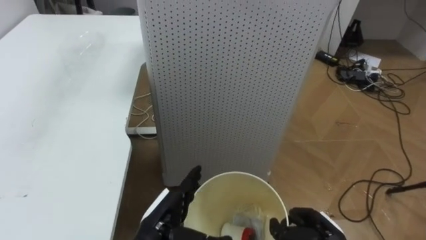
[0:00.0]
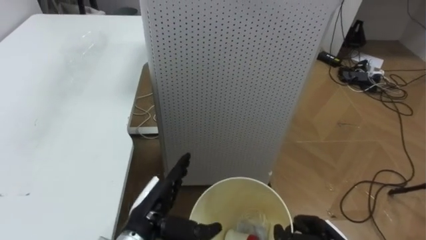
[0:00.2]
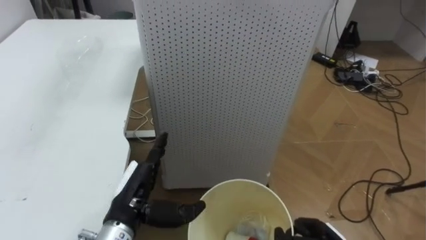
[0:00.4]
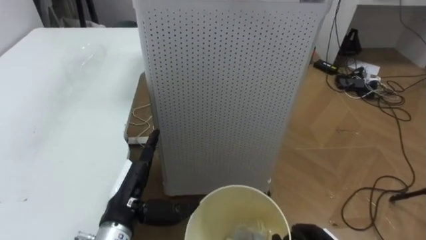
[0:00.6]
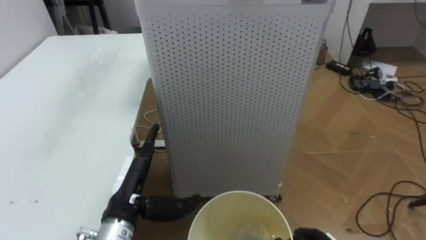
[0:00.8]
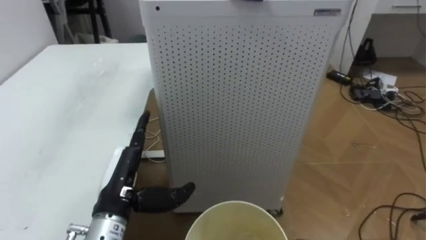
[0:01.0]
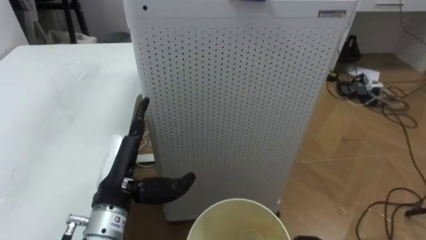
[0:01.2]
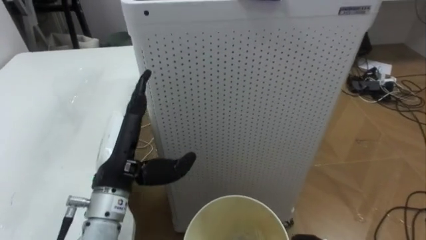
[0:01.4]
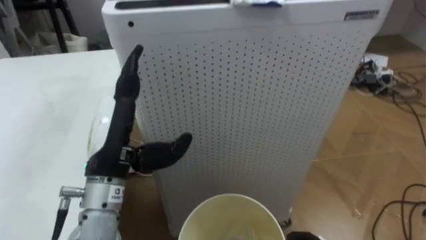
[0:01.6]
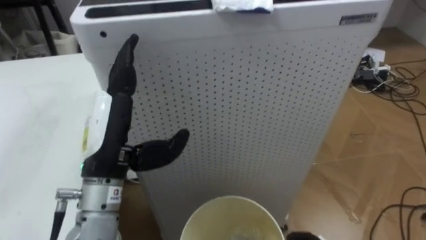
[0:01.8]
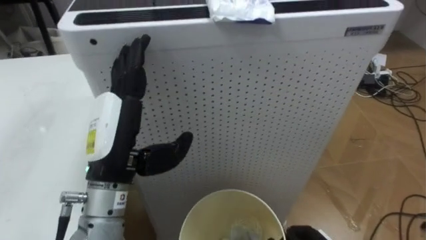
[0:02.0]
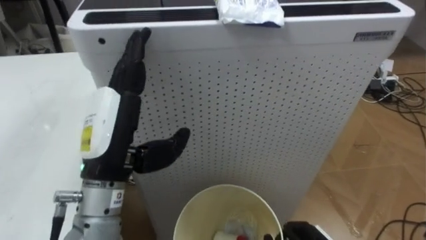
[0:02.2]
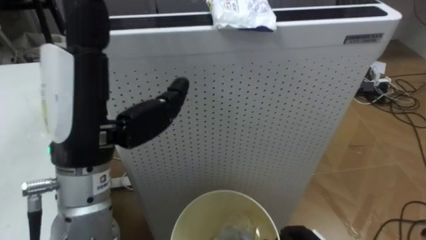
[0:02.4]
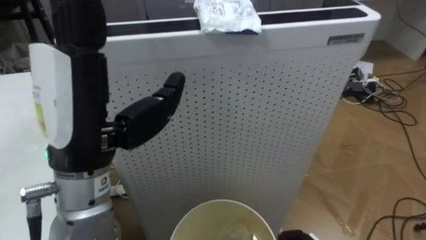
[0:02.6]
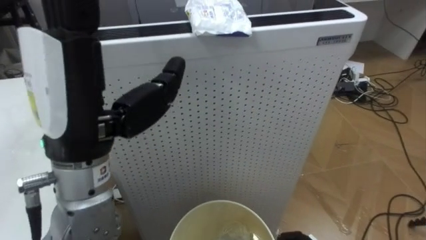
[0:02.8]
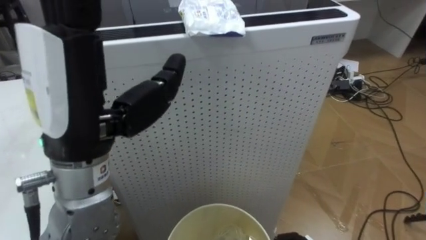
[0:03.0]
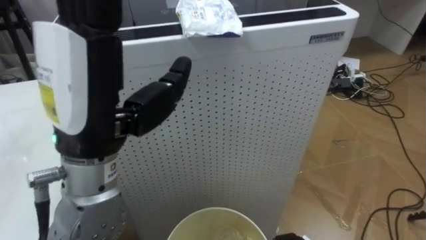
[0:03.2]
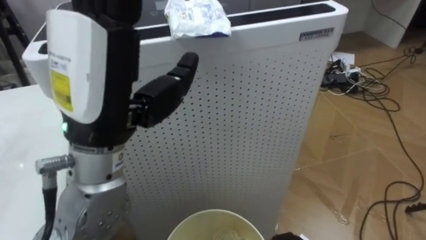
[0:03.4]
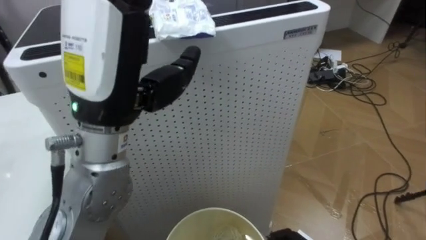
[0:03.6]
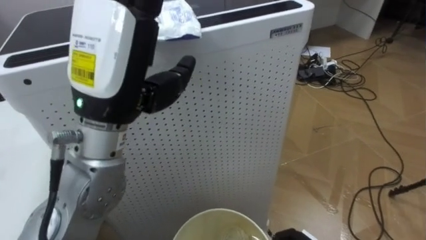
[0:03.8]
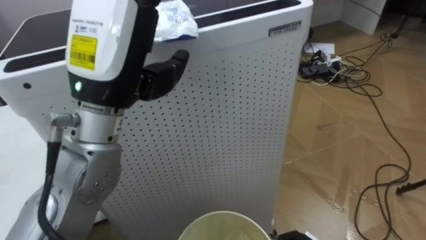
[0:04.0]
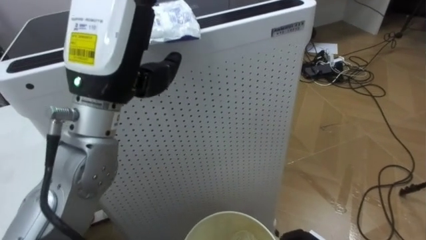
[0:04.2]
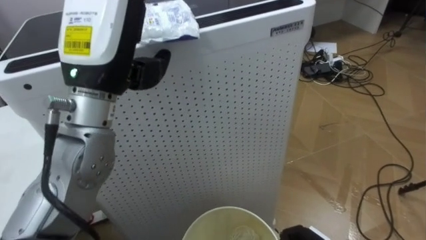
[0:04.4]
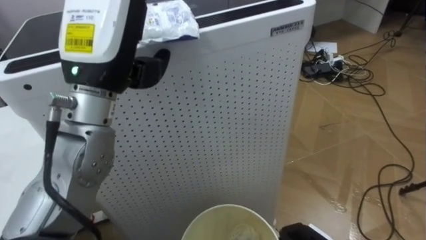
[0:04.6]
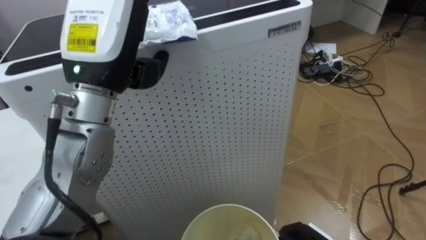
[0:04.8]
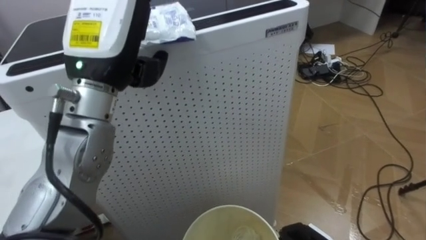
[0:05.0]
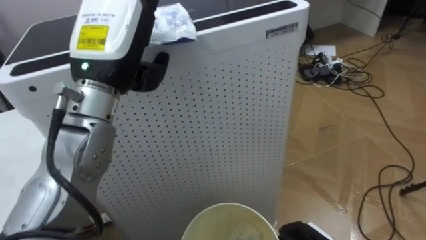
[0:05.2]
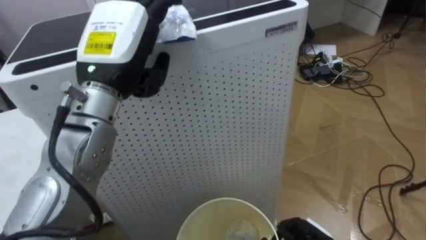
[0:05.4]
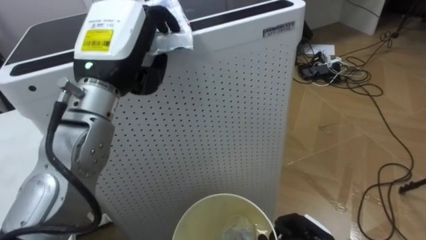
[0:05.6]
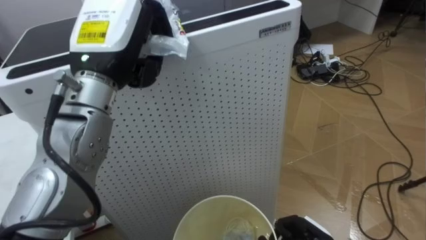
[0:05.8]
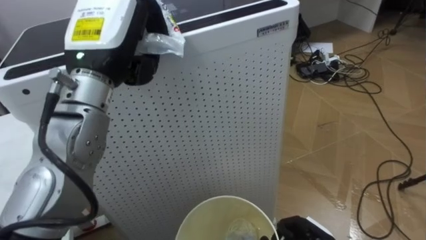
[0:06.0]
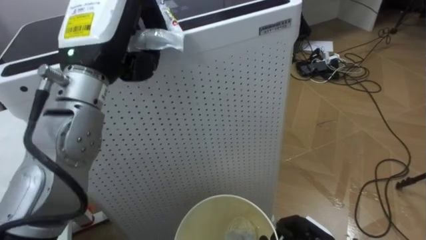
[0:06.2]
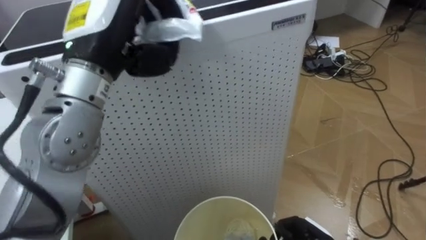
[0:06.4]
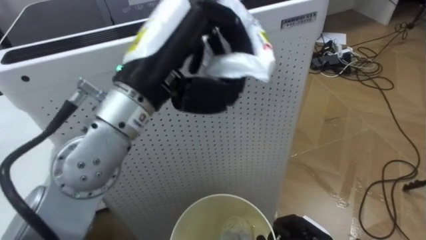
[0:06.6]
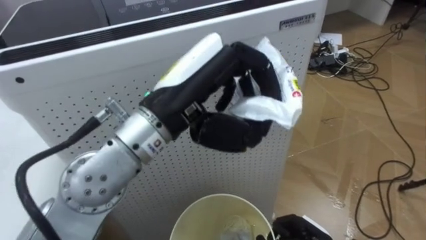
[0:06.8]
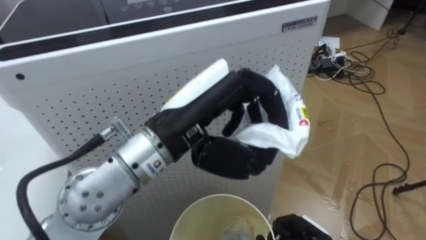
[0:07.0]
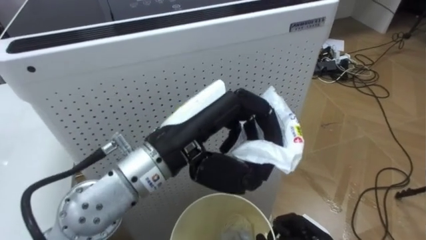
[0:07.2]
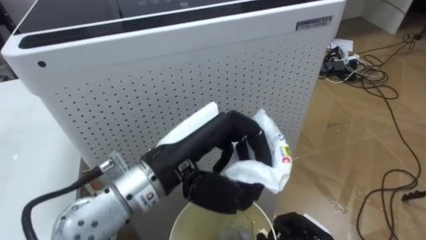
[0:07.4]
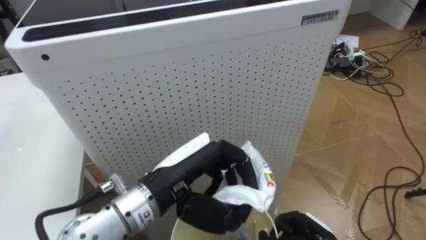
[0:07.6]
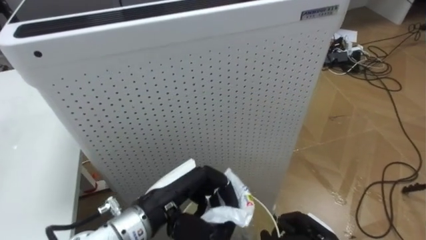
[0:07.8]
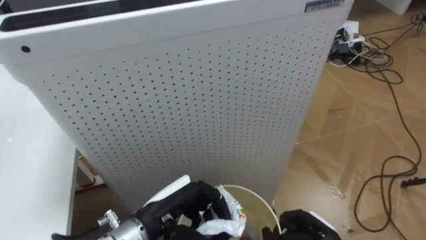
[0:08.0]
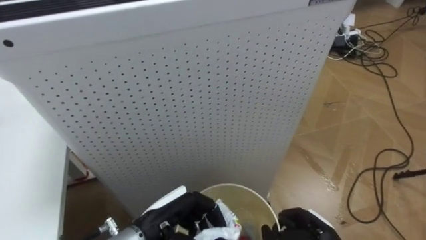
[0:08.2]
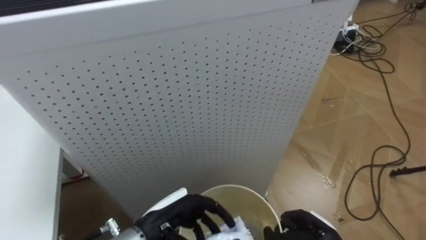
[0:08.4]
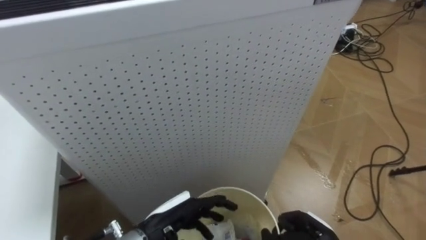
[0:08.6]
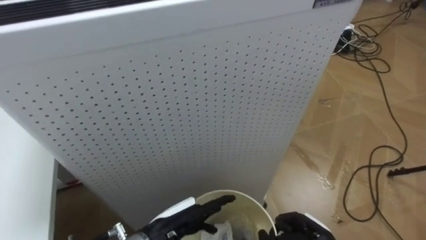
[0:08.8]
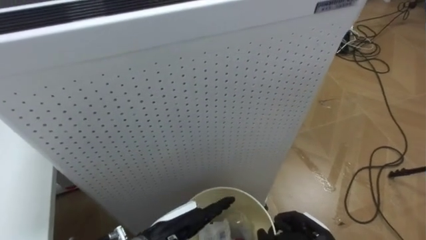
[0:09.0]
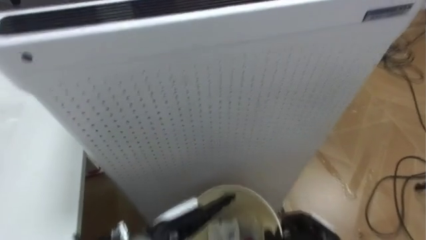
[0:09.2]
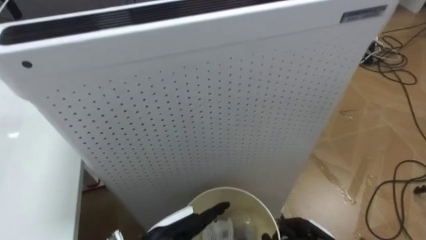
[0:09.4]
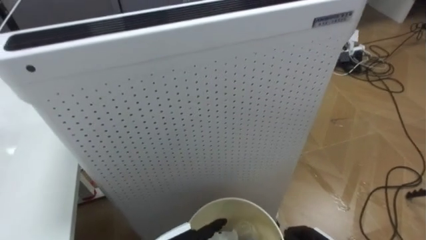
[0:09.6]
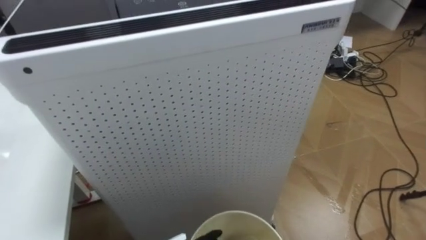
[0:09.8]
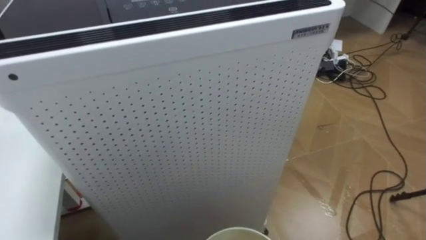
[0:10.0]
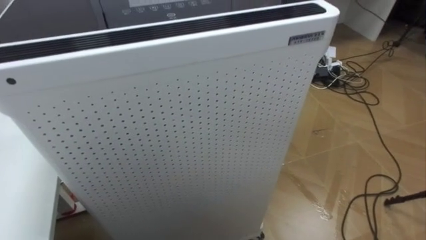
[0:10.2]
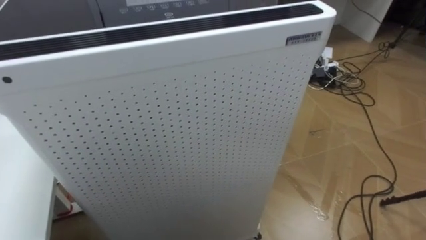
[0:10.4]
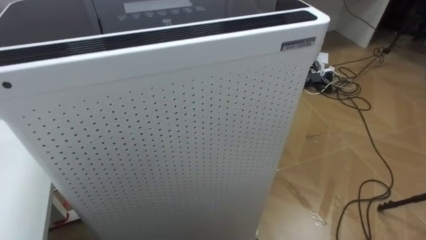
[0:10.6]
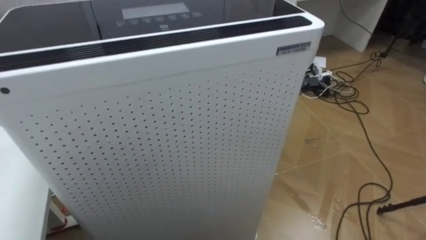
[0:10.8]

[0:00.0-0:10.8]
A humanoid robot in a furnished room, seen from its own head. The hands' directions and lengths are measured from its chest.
Task of the whole recording: Pick up the light blue package, the candy box, and the dark blue package separately, and put them into the trash can held in your right hand.
0:00.0 to 0:01.6: The left hand shifts approximately 15 cm upward.
0:01.6 to 0:03.0: The left hand goes roughly 15 cm upward and backward.
0:03.0 to 0:04.6: The left hand travels forward by some 10 cm.
0:04.6 to 0:06.2: The left hand closes its fingers.
0:06.2 to 0:07.8: The left hand goes roughly 20 cm downward and backward.
0:07.8 to 0:09.2: The left hand travels downward by roughly 10 cm, and opens.

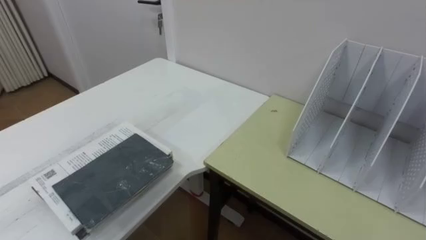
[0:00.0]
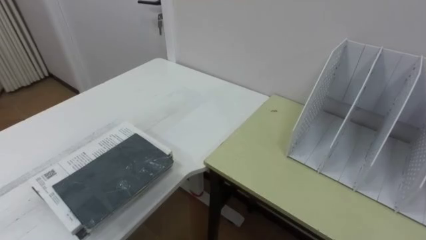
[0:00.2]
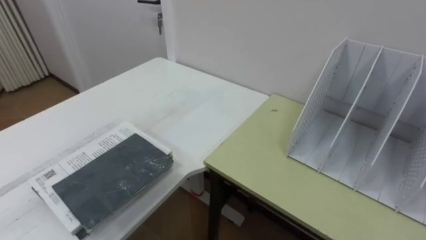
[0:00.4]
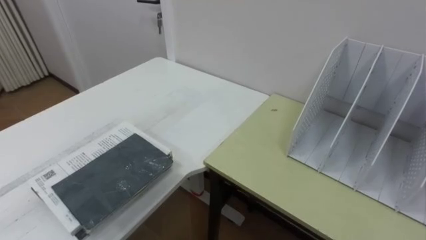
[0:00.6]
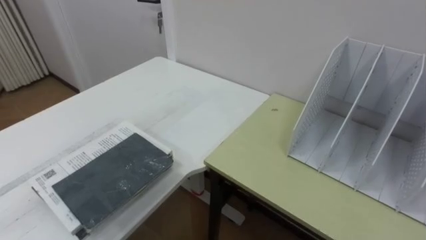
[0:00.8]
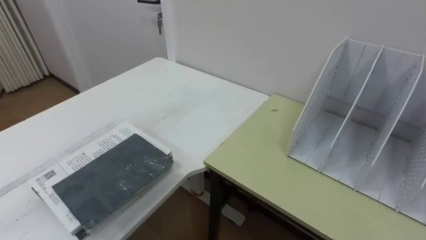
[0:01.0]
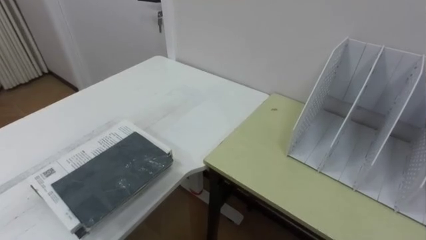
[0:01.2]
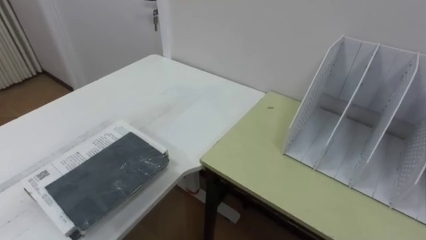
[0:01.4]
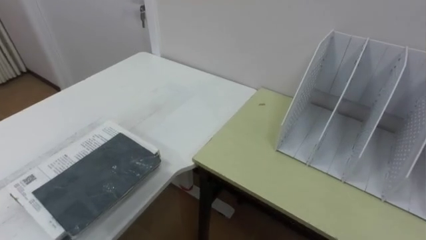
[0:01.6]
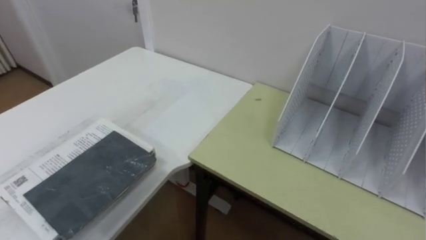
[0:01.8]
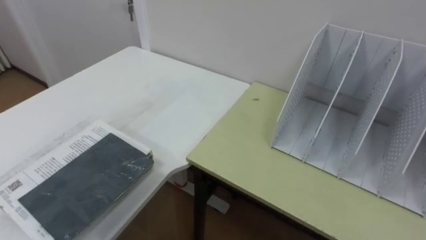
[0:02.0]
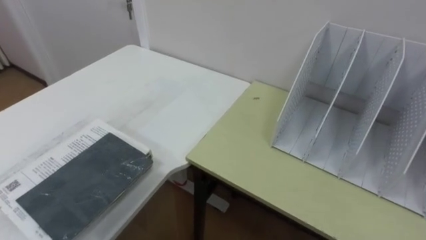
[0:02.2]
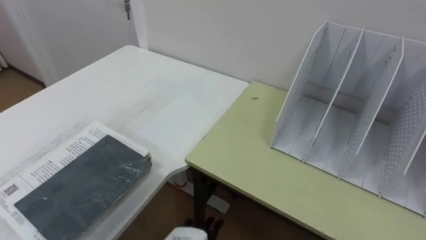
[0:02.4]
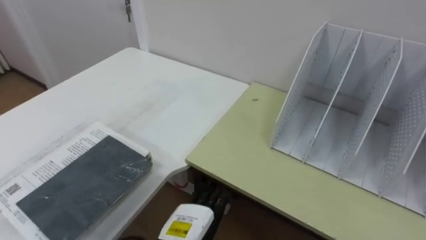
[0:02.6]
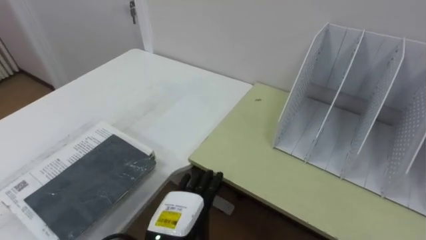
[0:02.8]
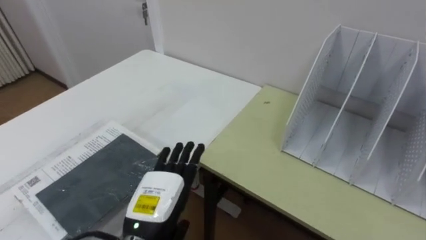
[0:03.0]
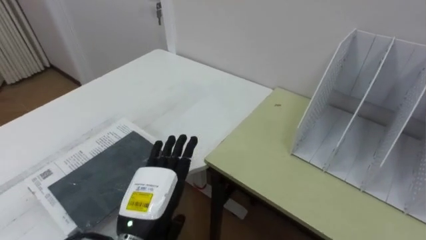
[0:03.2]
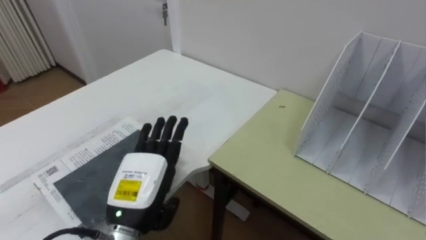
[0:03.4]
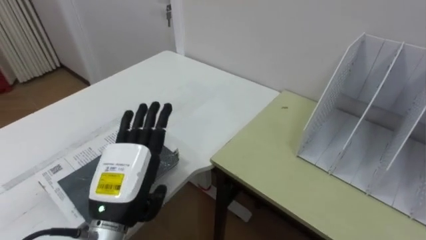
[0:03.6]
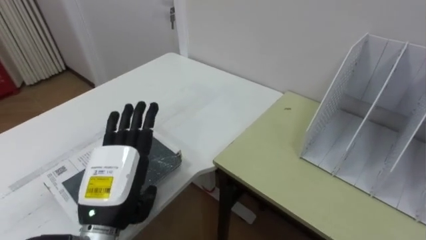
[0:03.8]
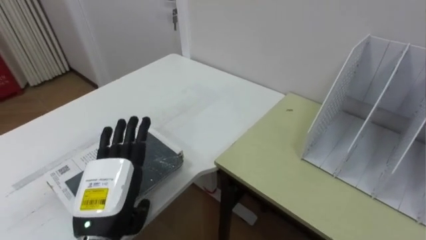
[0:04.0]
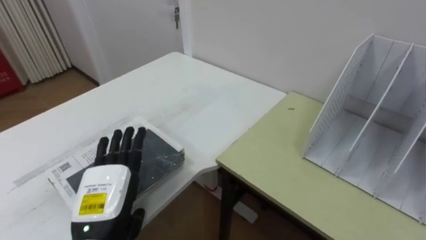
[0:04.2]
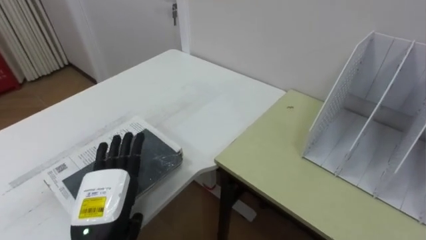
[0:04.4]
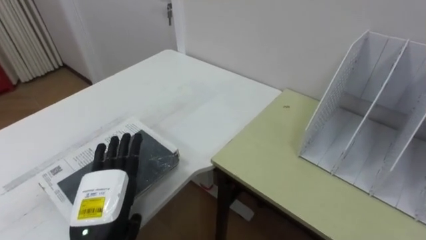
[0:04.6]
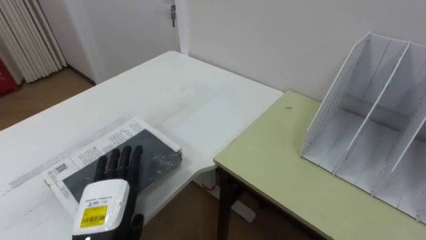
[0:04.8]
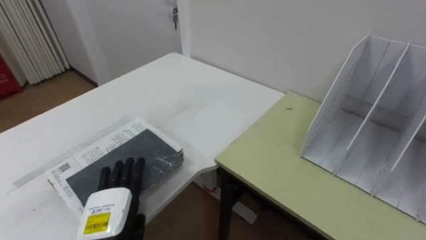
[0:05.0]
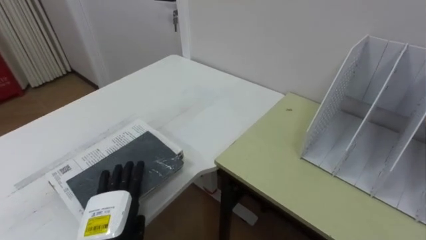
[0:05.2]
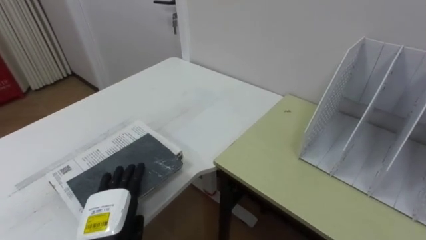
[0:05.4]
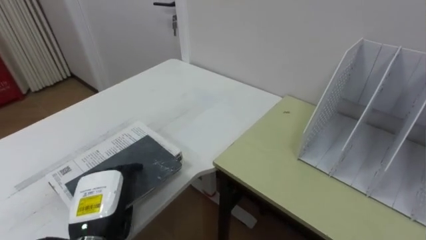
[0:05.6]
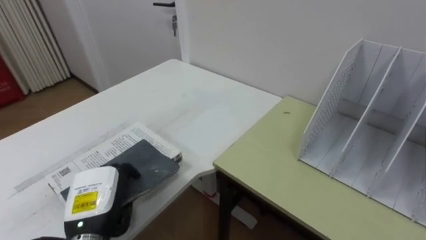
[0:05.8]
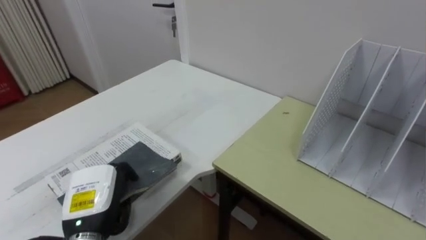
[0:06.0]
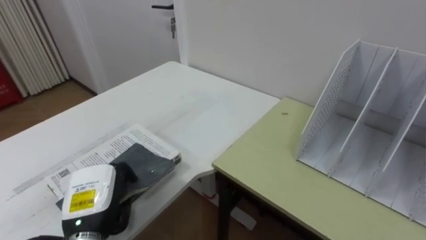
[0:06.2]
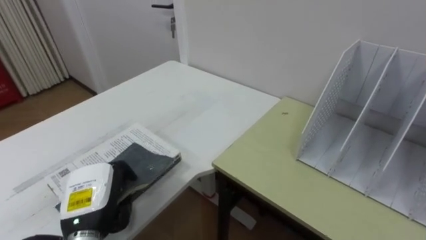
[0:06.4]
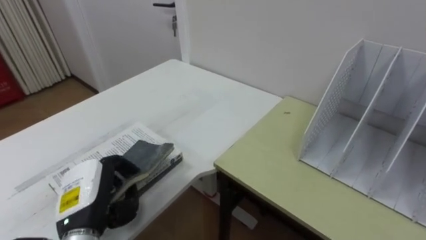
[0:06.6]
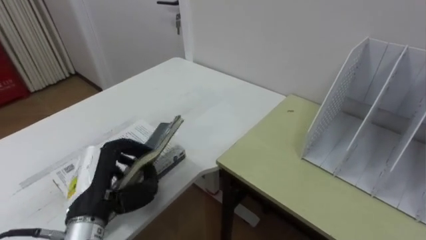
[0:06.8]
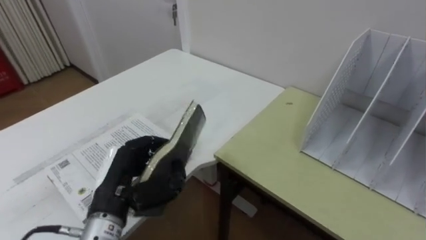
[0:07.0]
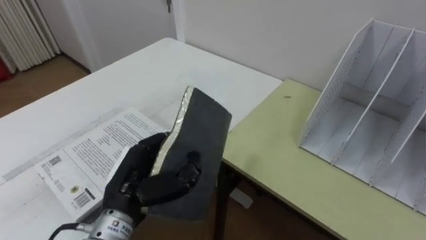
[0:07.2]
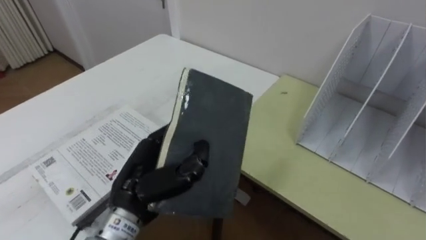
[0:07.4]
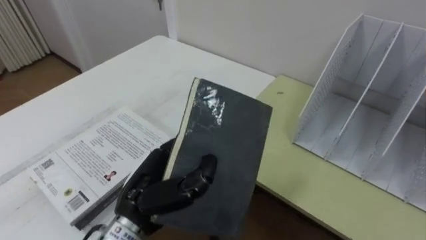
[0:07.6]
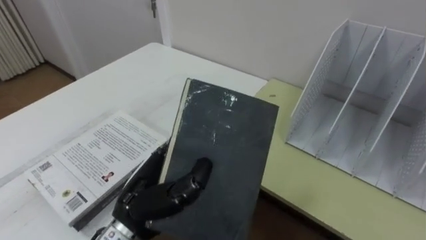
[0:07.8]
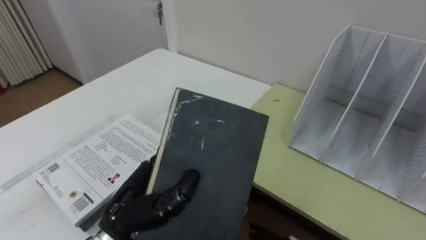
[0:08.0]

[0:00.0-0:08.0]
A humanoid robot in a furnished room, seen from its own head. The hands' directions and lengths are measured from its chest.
Task of the whole recording: Put the books on the table onto the bookshelf.
0:03.2 to 0:04.8: The left hand is displaced to the left by some 5 cm.
0:04.8 to 0:06.4: The left hand closes its fingers.
0:06.4 to 0:08.0: The left hand travels to the right by some 10 cm.
